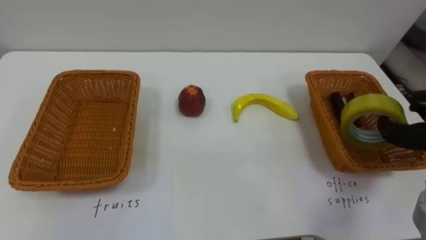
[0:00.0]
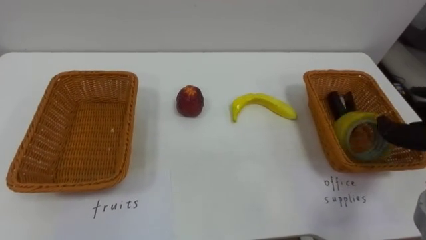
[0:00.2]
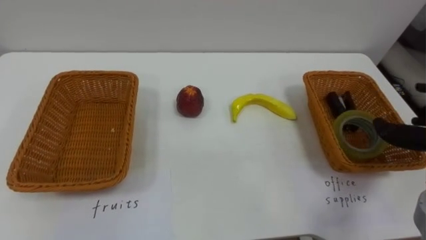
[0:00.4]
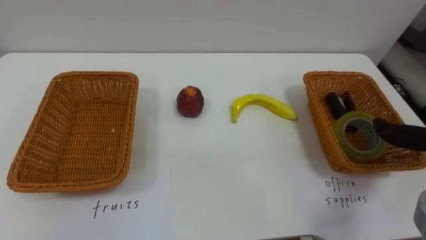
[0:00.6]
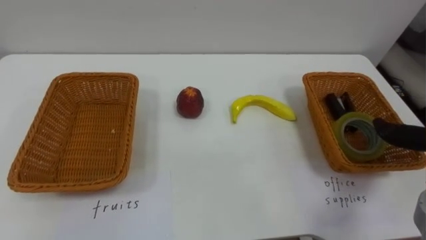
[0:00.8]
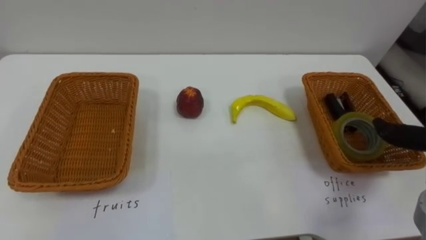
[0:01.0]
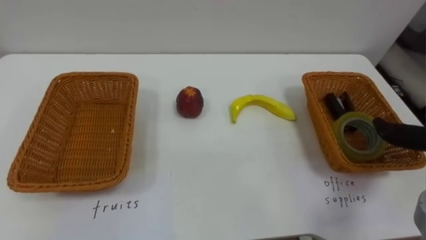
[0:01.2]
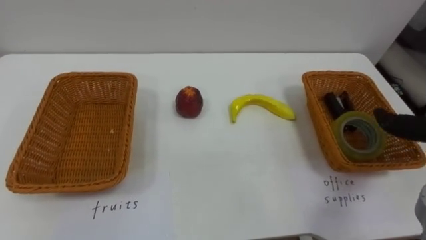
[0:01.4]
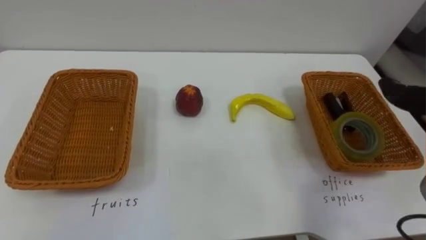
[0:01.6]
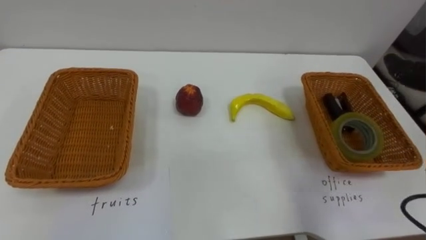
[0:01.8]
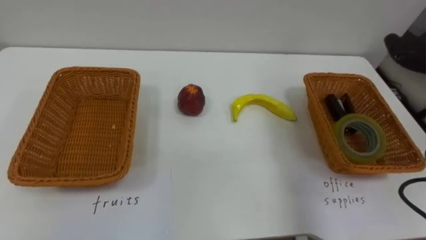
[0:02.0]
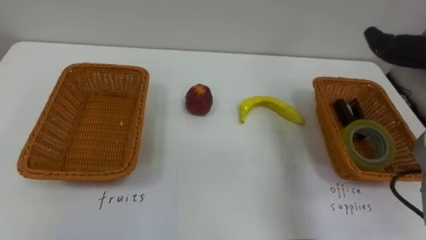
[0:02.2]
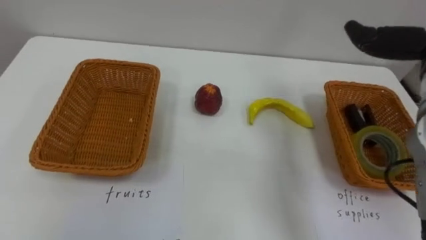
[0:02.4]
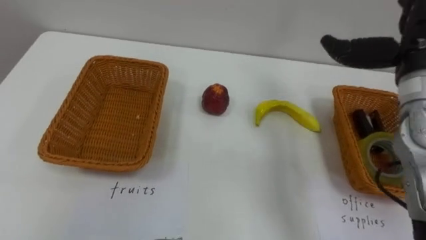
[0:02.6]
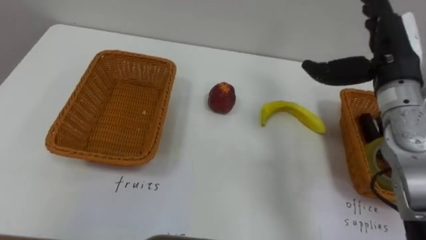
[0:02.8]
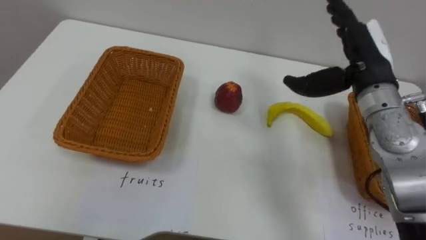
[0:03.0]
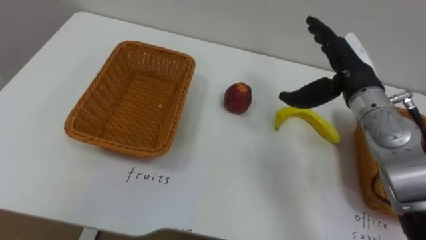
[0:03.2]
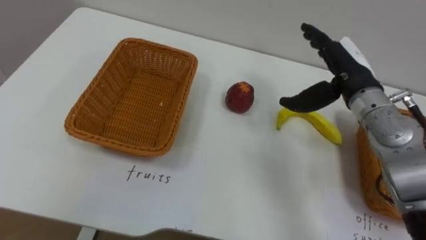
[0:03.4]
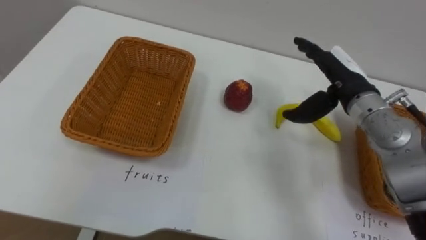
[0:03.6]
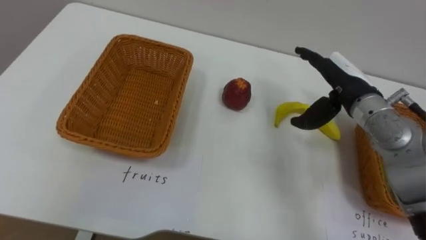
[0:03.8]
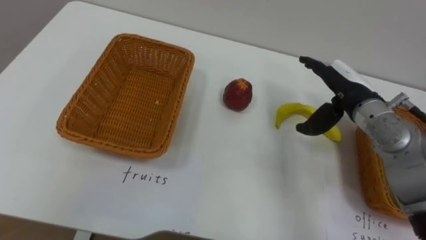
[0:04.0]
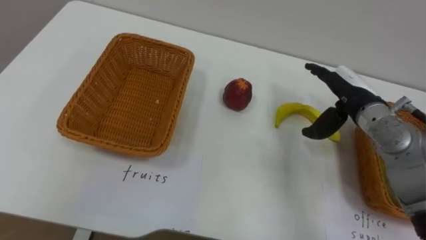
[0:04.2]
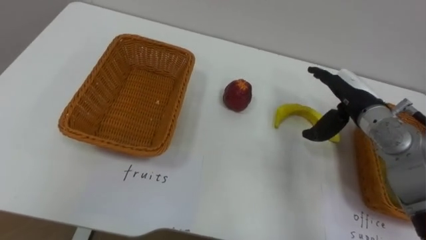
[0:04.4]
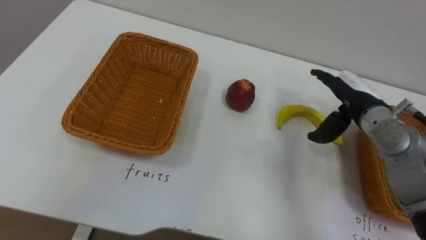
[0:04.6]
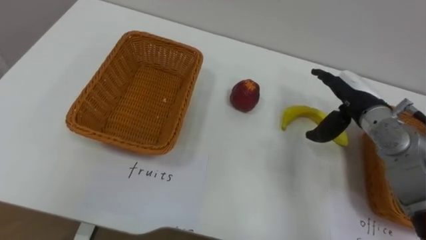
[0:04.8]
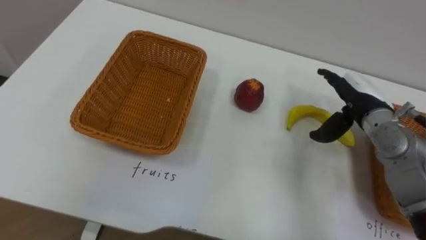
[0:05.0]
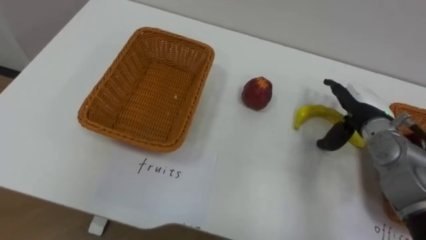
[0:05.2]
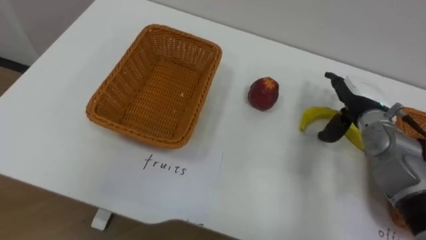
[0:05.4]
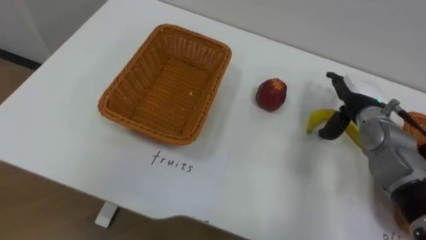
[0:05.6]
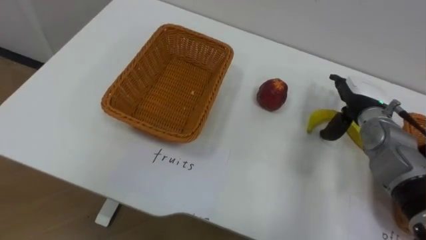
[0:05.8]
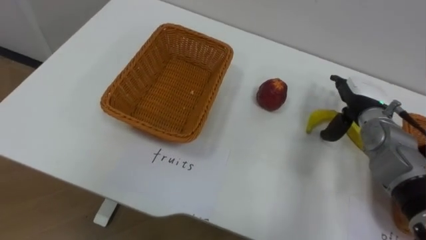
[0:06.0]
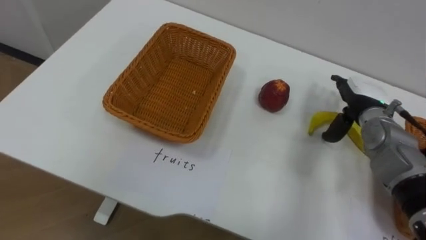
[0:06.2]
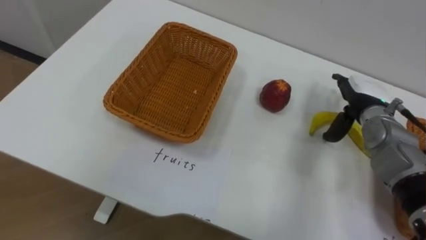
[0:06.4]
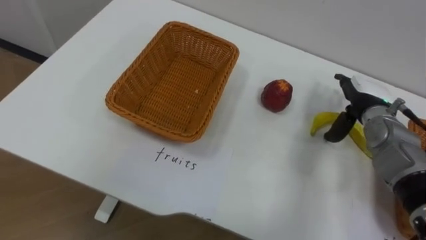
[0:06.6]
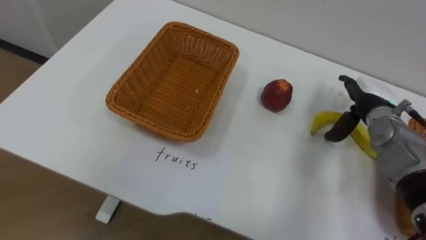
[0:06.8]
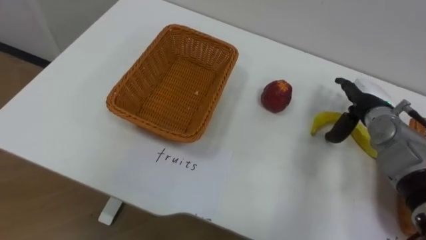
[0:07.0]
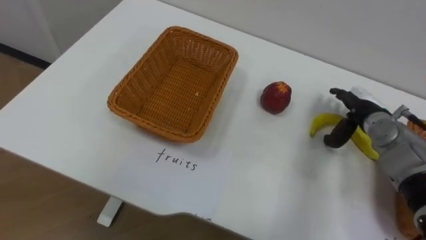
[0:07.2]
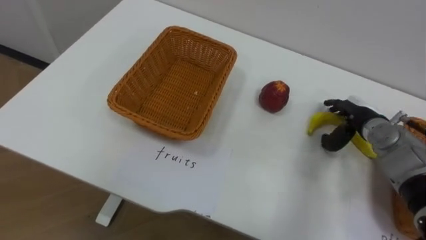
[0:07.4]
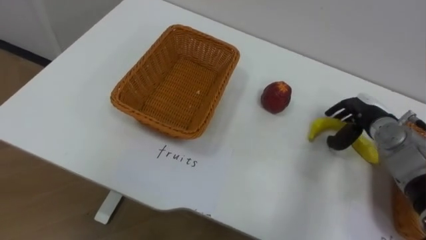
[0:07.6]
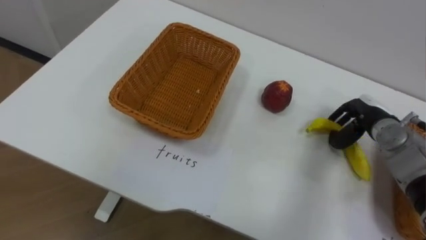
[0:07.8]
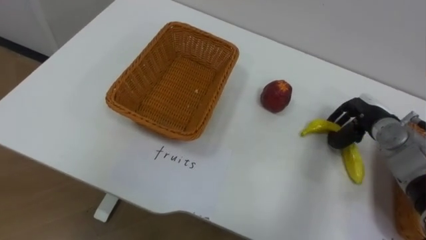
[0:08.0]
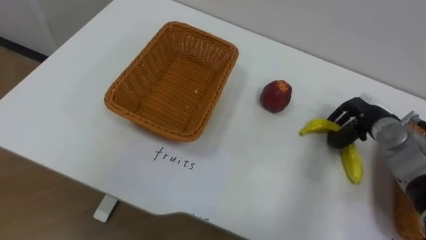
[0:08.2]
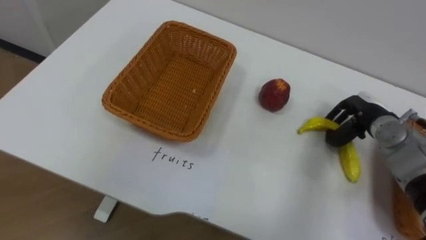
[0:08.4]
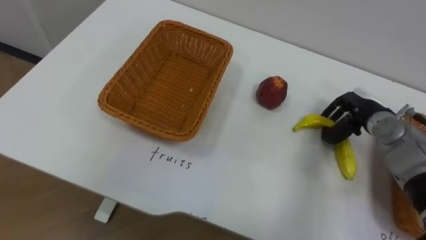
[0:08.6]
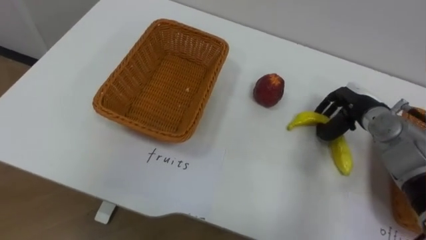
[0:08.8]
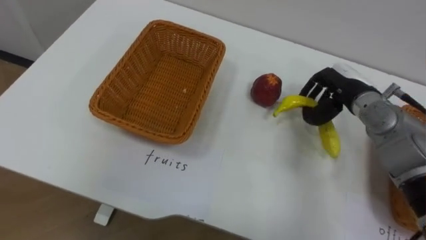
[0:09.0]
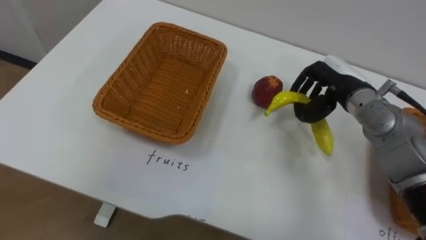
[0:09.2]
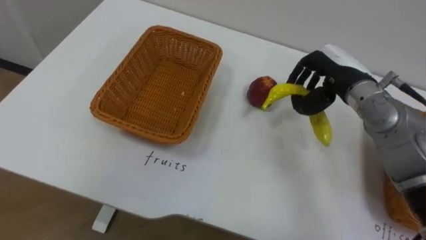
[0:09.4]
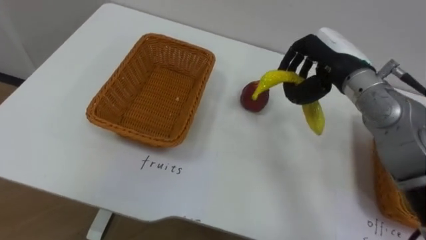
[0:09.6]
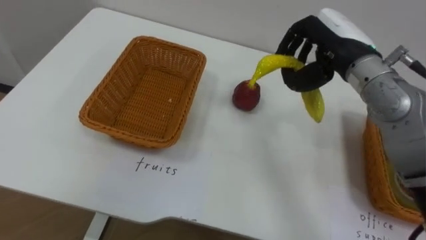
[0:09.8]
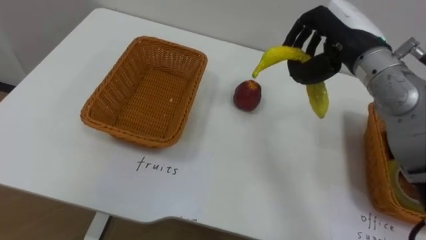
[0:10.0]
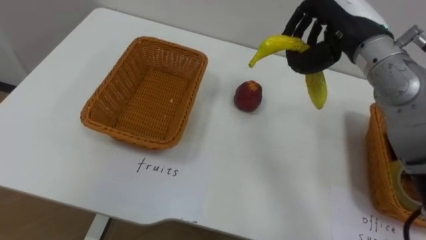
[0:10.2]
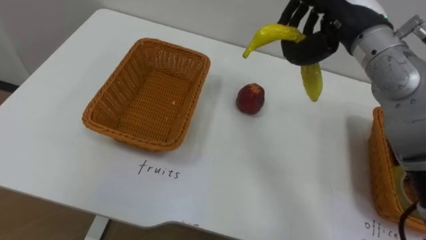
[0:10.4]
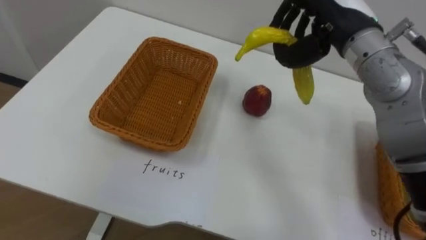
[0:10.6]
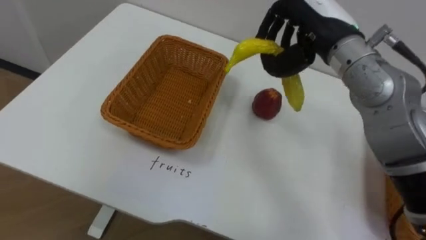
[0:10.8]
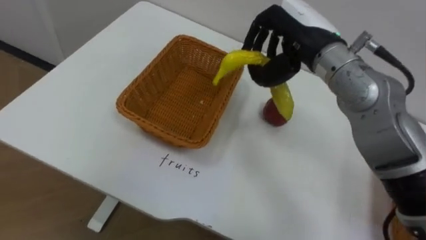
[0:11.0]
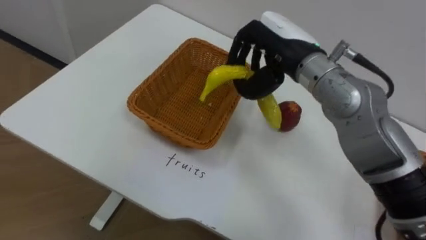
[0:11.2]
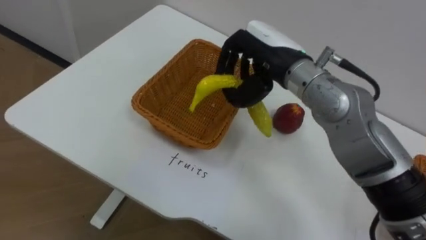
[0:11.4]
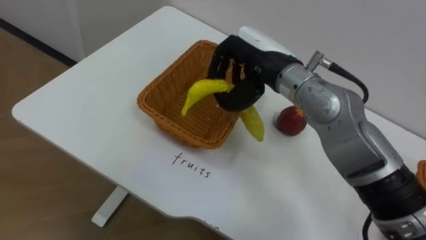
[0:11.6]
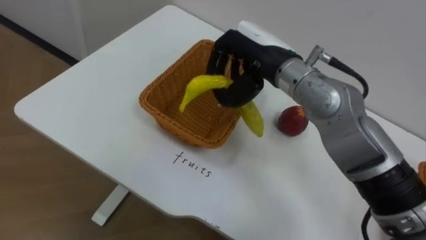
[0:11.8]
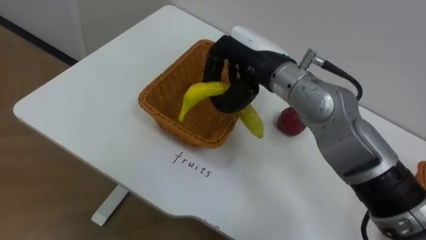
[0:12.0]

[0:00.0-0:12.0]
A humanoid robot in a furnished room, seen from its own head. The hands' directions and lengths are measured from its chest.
Task of the whole recording: Separate the items on the table and place them into the two baskets.
0:03.0 to 0:04.4: The right hand heads downward, covering roughly 10 cm.
0:04.4 to 0:06.0: The right hand moves approximately 5 cm.
0:07.6 to 0:09.0: The right hand goes roughly 10 cm upward and to the left, and closes its fingers.
0:09.0 to 0:10.4: The right hand is displaced upward and to the left by approximately 15 cm.
0:10.4 to 0:12.0: The right hand moves to the left and downward, roughly 15 cm.

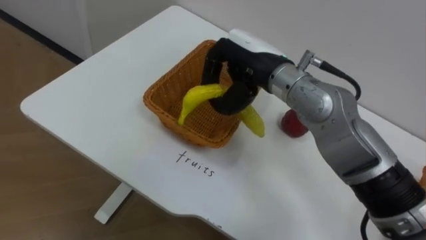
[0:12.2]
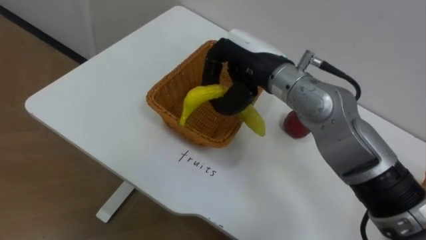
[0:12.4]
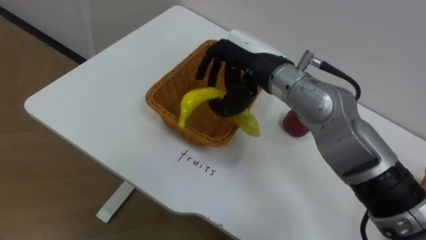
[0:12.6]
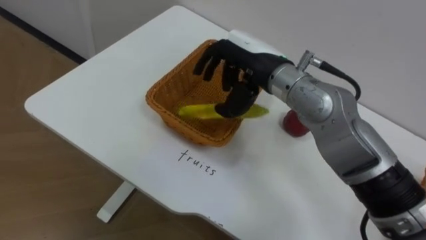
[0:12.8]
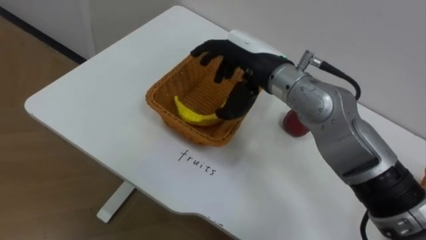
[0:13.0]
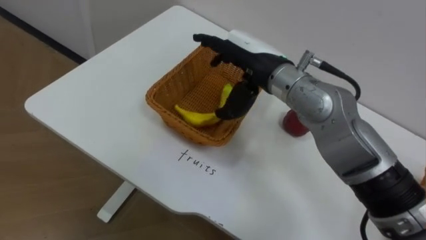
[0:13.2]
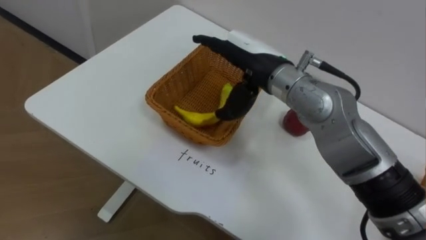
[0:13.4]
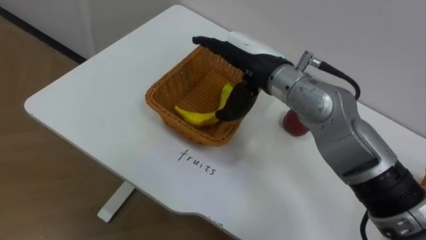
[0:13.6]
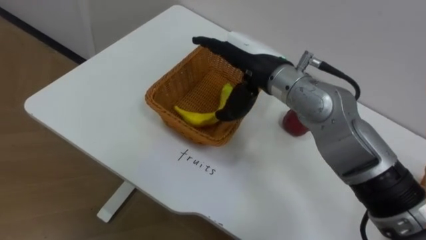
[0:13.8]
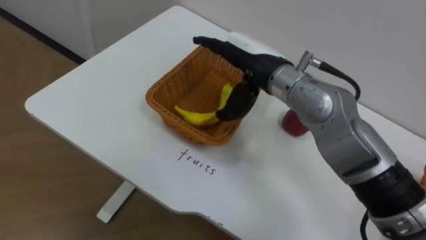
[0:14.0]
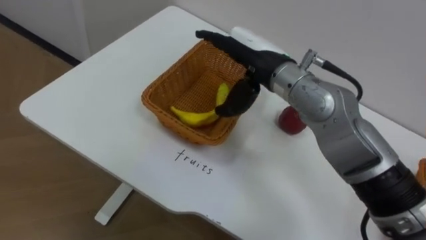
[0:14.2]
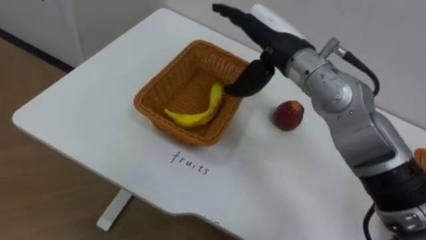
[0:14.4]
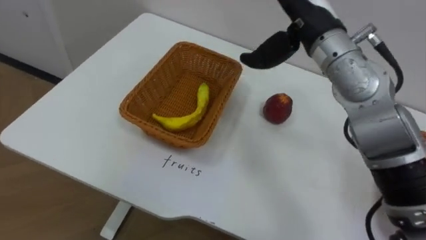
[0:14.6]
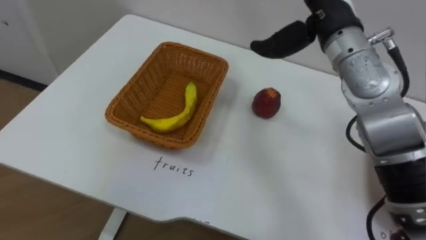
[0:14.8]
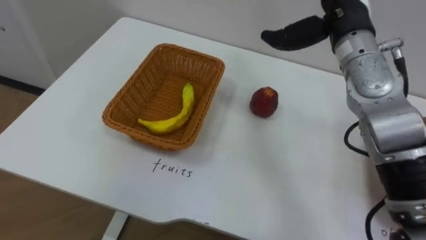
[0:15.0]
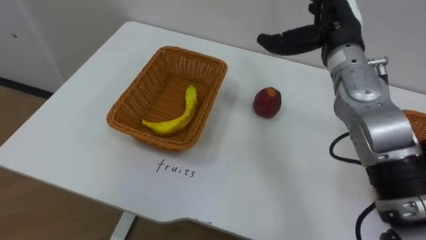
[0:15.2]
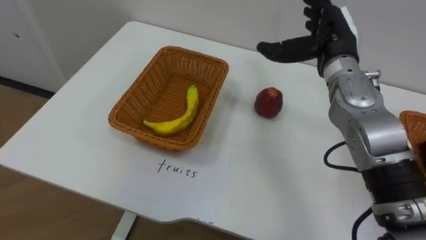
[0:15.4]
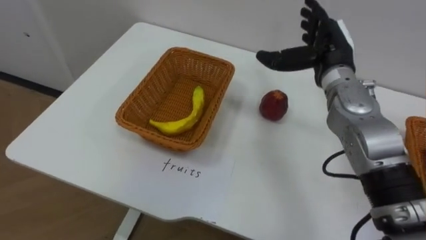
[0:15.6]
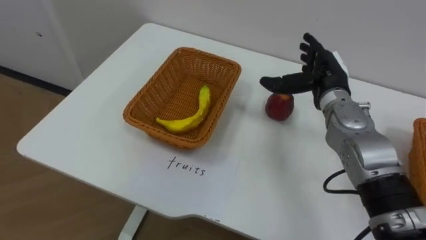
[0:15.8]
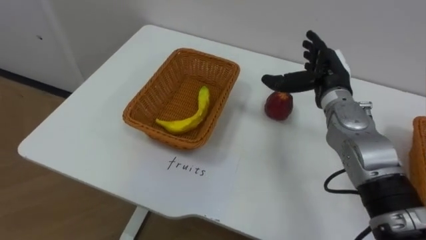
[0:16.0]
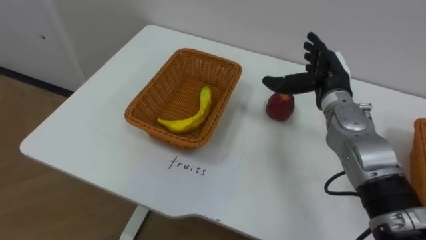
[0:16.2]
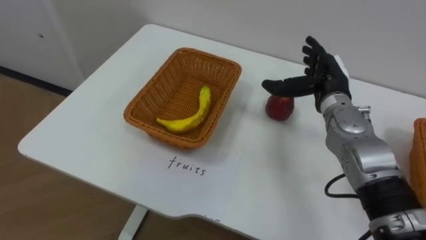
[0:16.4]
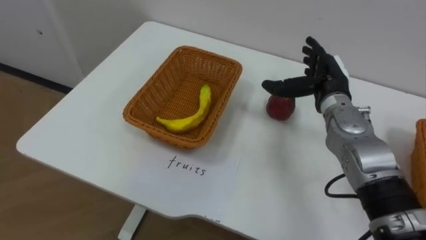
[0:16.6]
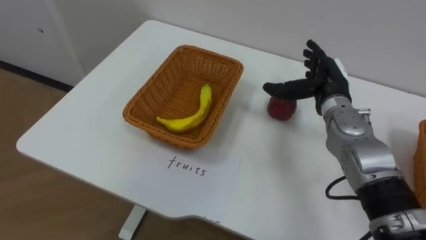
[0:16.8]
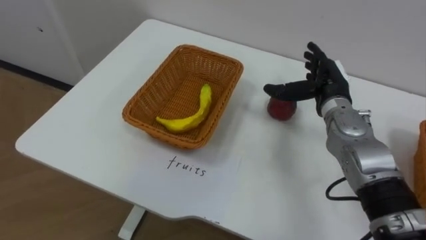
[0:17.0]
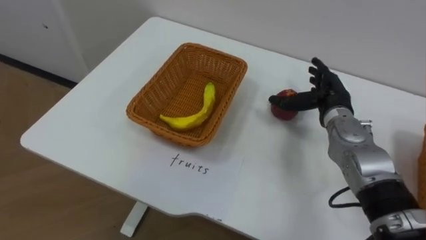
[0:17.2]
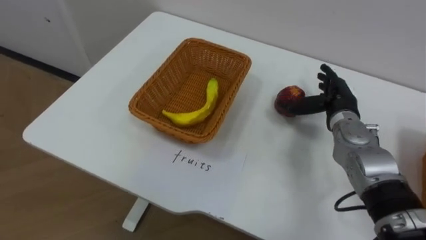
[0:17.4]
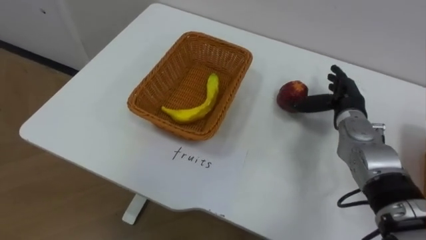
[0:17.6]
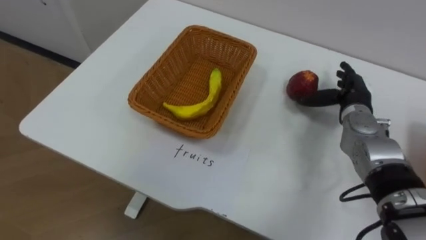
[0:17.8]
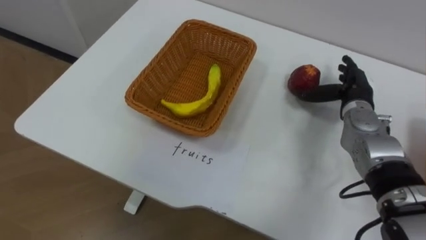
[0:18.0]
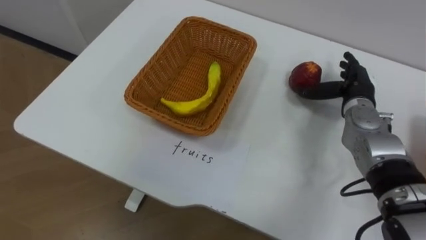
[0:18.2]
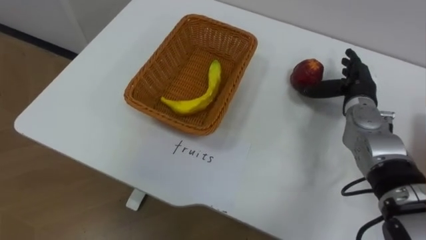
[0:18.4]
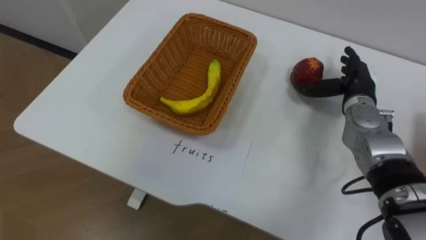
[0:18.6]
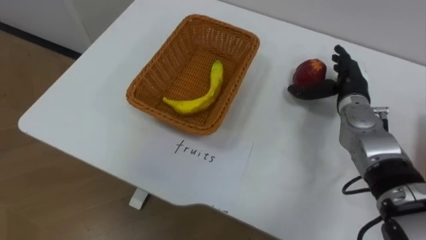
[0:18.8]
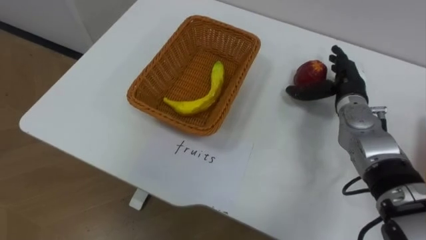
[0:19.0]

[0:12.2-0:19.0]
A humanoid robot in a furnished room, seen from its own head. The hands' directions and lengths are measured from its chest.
Task of the whole recording: Separate the items on the table and place them into the two baskets.
0:12.2 to 0:13.6: The right hand opens up.
0:13.6 to 0:15.0: The right hand moves to the right and upward, about 15 cm.
0:15.0 to 0:16.2: The right hand goes some 15 cm downward.
0:16.2 to 0:17.6: The right hand goes some 5 cm downward.
